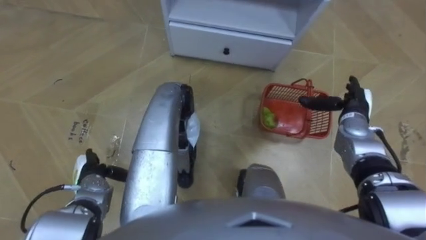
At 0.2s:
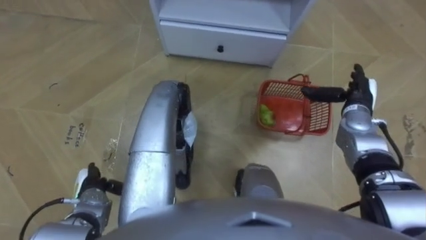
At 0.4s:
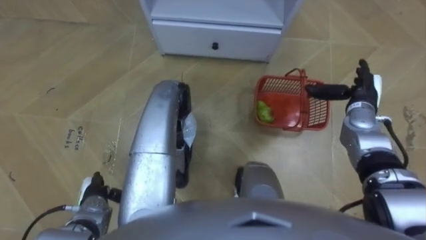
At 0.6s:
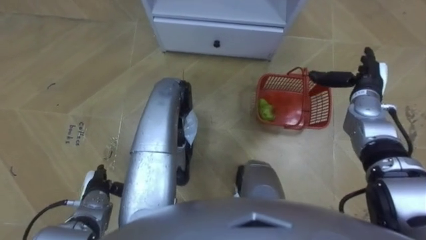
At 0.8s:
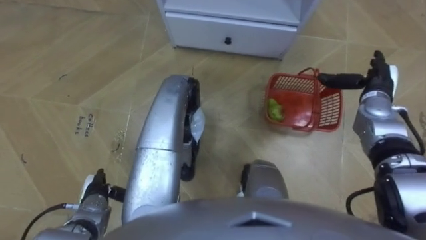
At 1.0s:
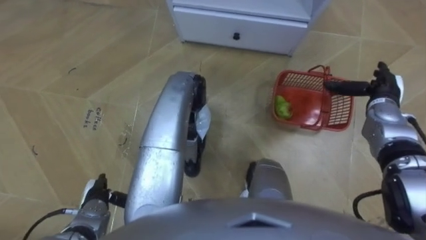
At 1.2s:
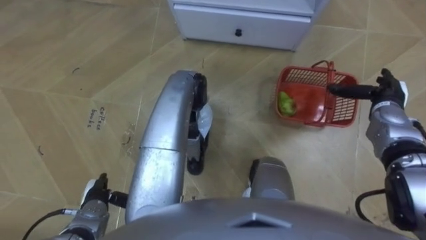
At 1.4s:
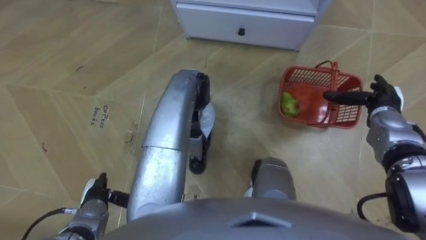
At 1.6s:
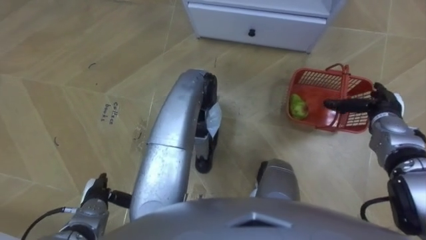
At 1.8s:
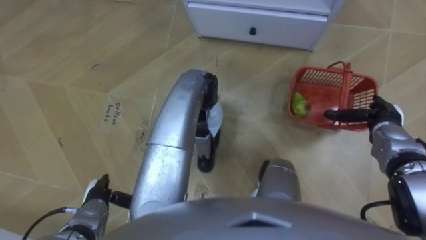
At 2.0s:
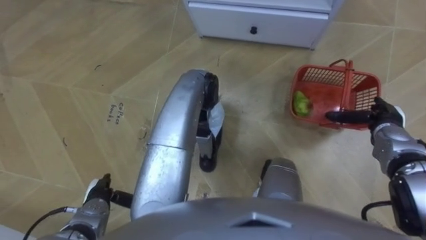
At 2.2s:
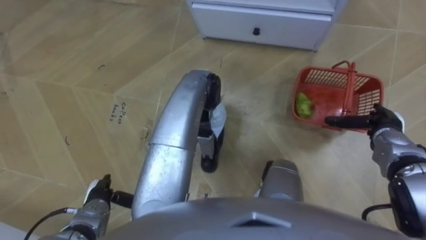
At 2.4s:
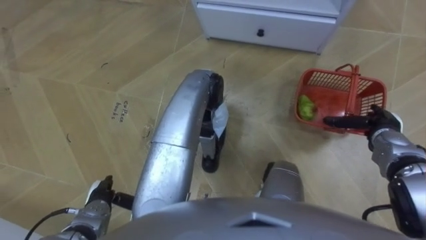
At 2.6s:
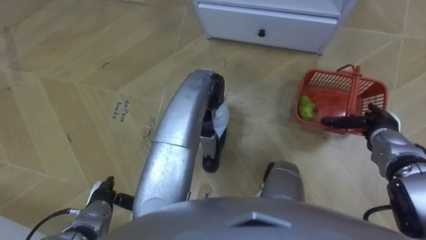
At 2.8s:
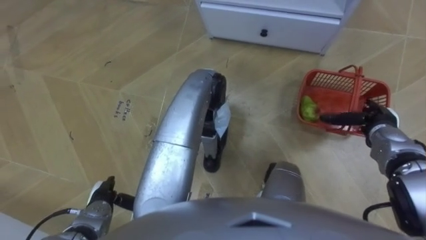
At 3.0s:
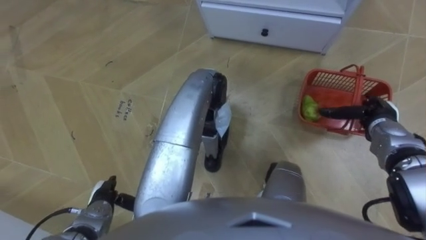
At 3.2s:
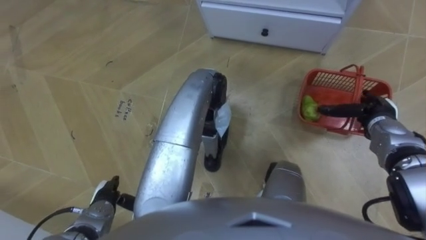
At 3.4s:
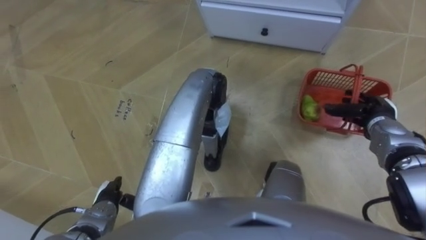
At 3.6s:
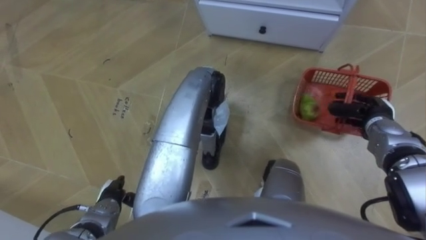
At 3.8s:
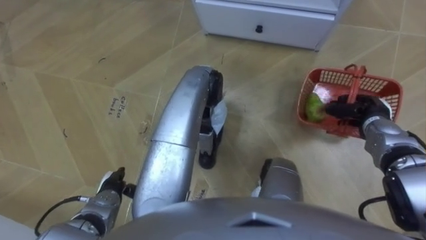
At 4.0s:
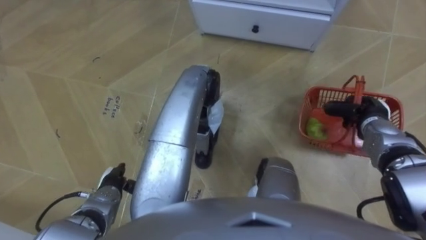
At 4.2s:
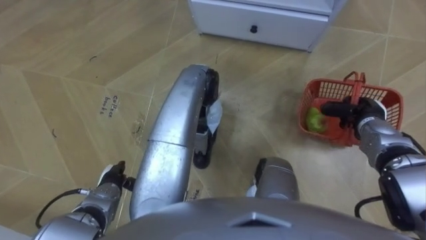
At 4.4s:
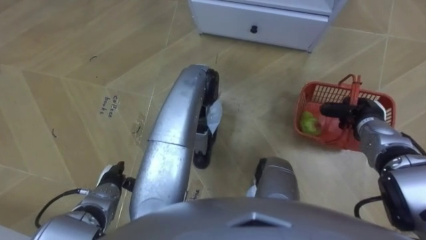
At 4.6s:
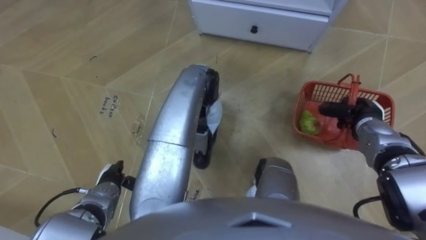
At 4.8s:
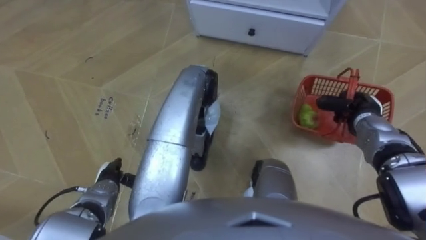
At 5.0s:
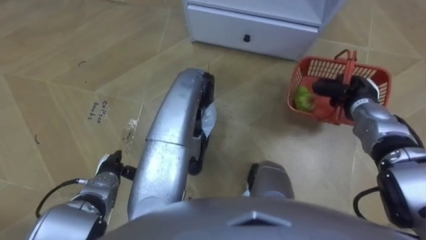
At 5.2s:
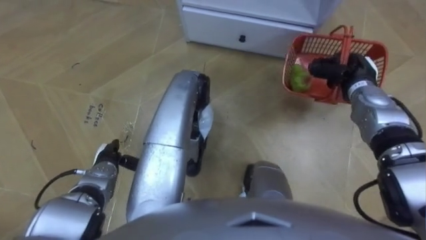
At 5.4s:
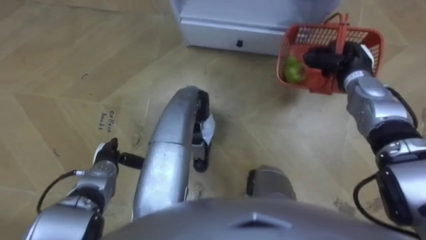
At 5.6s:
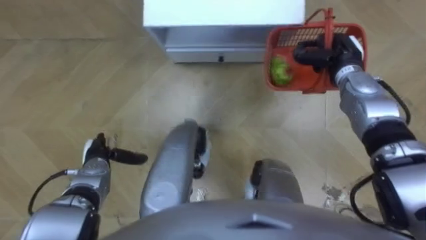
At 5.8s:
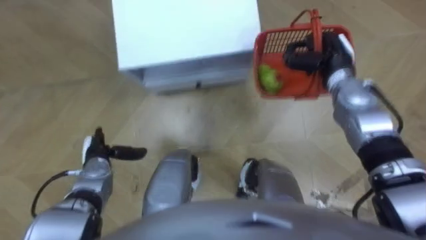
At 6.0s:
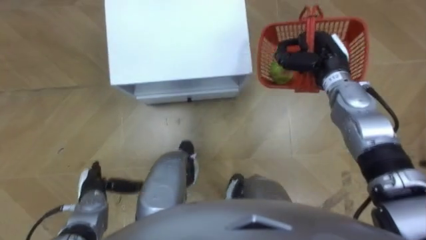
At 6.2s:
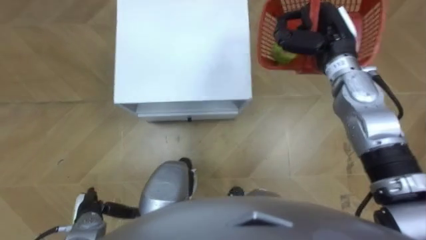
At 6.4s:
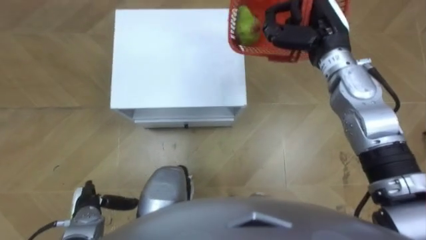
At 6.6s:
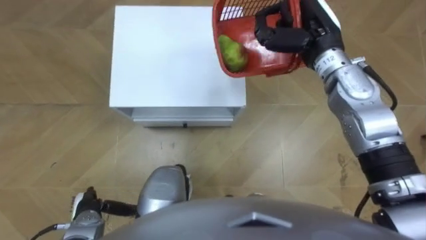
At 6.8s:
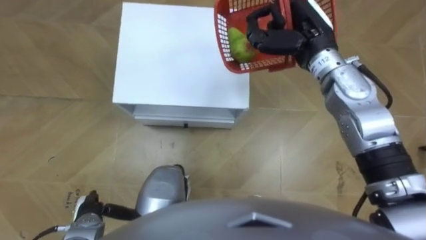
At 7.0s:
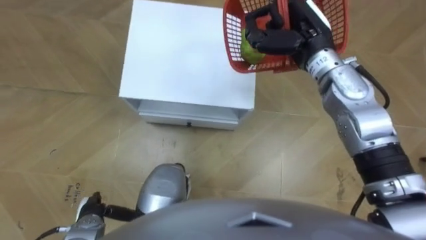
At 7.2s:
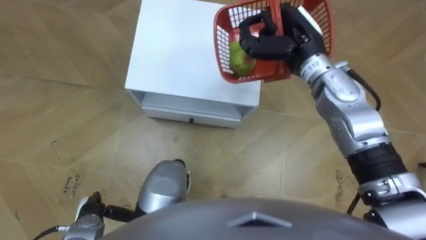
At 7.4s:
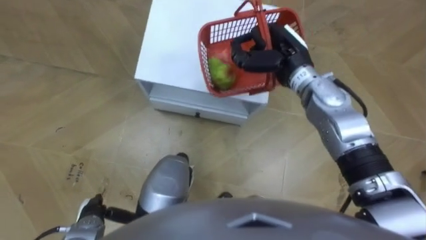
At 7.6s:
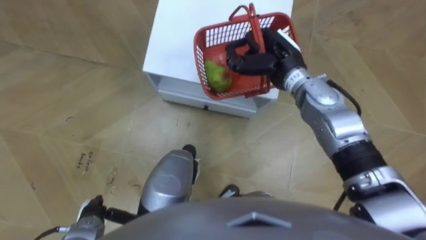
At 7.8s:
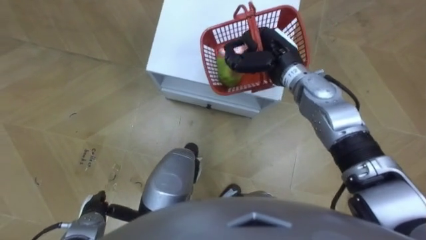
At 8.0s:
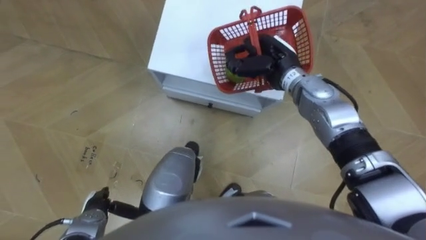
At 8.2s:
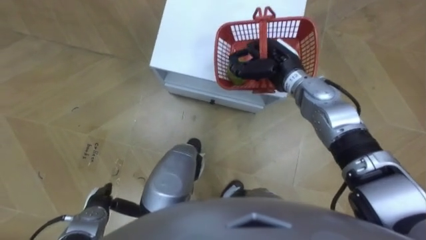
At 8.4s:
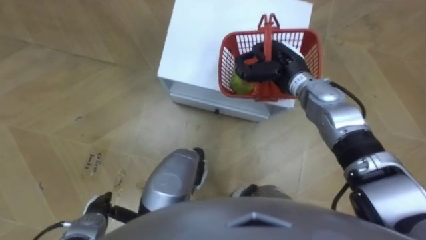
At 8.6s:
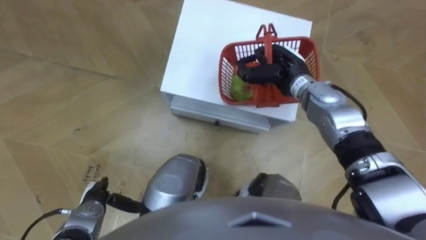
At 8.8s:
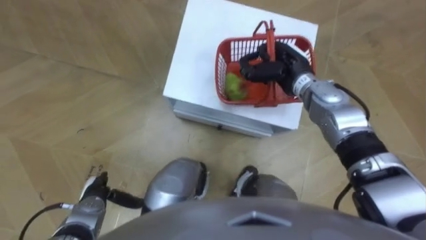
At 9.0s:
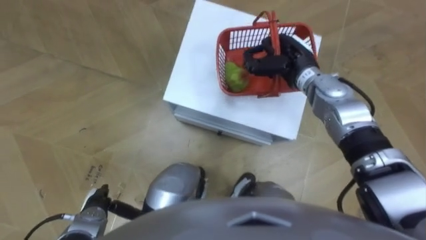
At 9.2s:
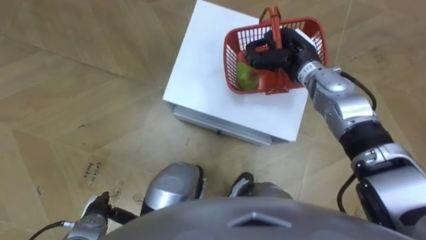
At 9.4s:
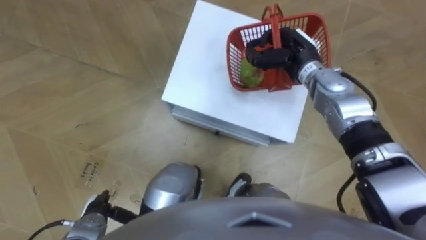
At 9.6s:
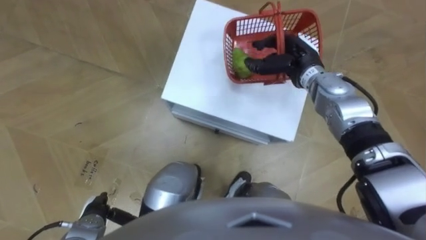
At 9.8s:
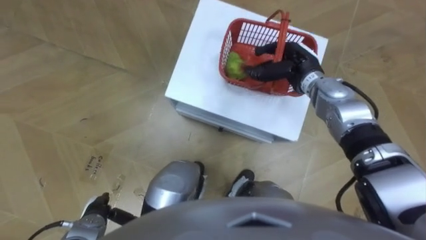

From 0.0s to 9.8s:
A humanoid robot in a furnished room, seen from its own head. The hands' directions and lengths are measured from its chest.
Task of the whole recording: Pick up the fruit basket from the floor and place it on the cabinet.
From 0.0s to 1.4s: The right hand heads to the right, covering approximately 5 cm. The left hand is displaced backward by approximately 5 cm.
From 2.8s to 4.2s: The right hand closes.
From 4.2s to 5.6s: The left hand moves forward, some 5 cm. Meanwhile the right hand goes approximately 15 cm forward, upward and to the left.
From 5.6s to 7.0s: The right hand moves to the left and upward, approximately 15 cm; the left hand travels backward by about 15 cm.
From 7.0s to 8.4s: The right hand is displaced downward by some 10 cm.
From 8.4s to 9.8s: The right hand opens.

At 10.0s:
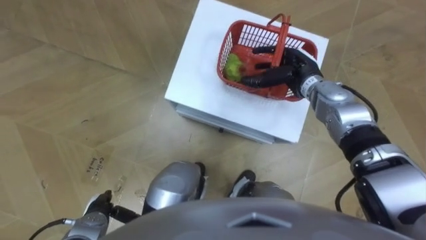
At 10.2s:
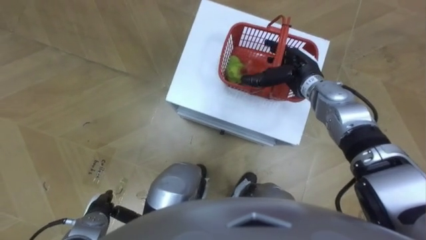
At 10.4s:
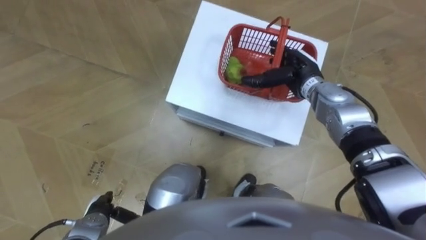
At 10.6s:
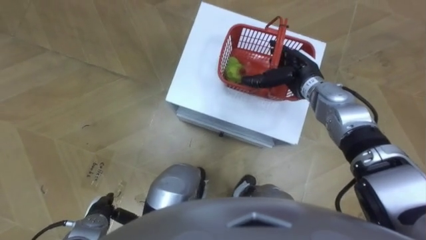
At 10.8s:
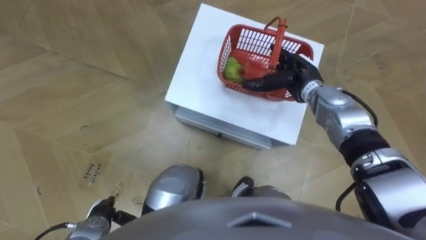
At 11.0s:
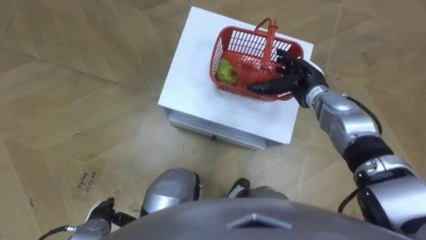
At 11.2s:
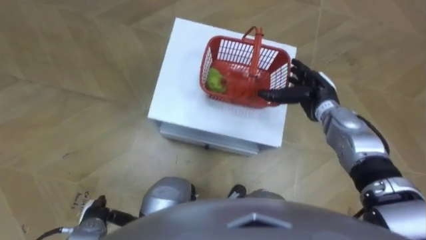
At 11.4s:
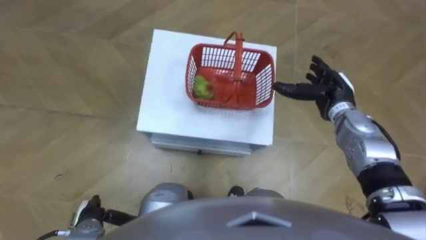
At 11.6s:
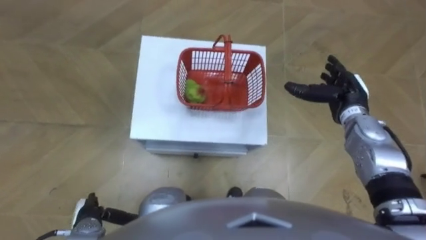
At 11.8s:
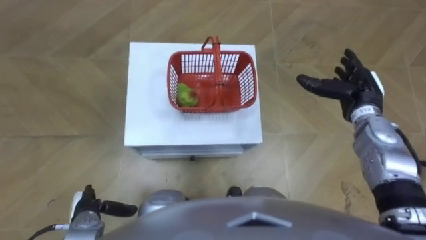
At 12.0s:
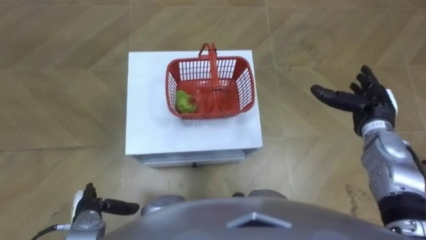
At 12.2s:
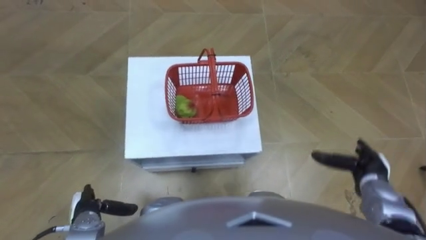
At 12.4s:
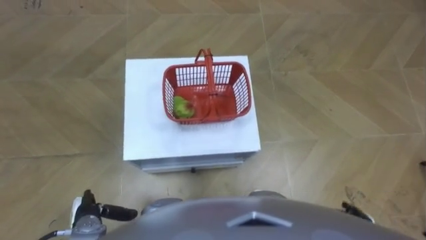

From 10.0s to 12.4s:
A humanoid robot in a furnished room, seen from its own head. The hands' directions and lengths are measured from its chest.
Task of the whole recording: Pick up the fruit basket from the floor and place it on the cabinet.
From 10.0s to 11.2s: The right hand shifts by roughly 5 cm.
From 11.2s to 12.4s: The right hand is displaced backward by roughly 25 cm.

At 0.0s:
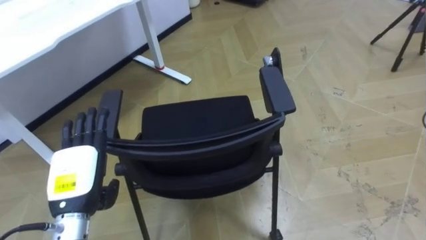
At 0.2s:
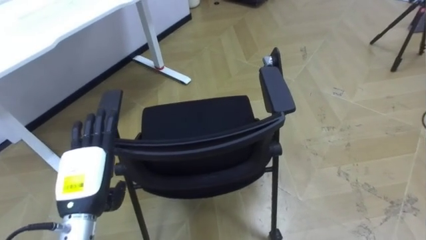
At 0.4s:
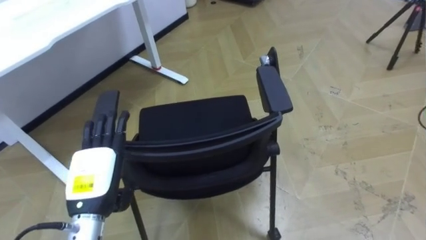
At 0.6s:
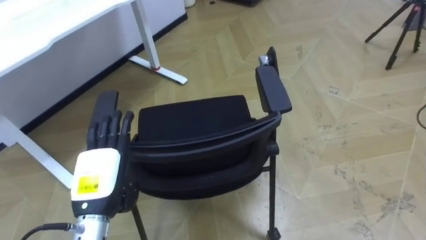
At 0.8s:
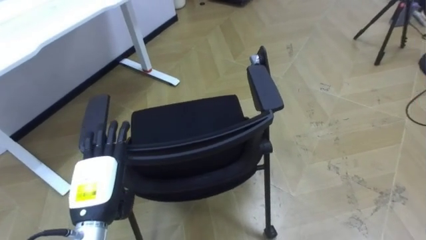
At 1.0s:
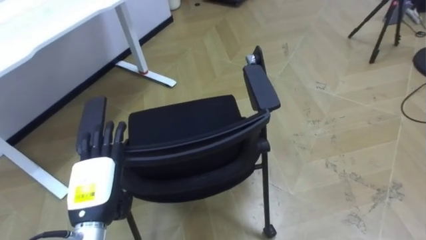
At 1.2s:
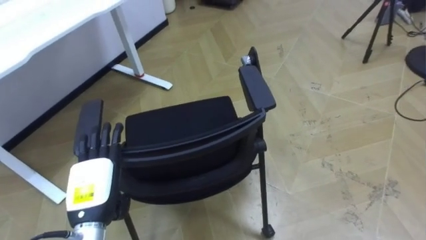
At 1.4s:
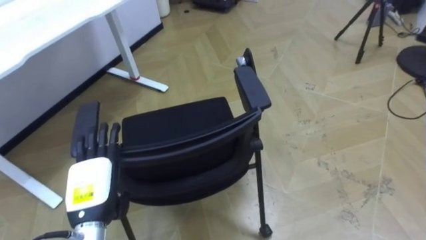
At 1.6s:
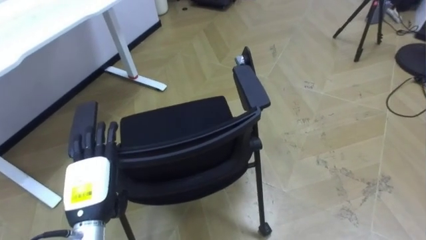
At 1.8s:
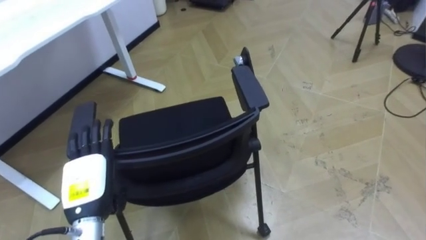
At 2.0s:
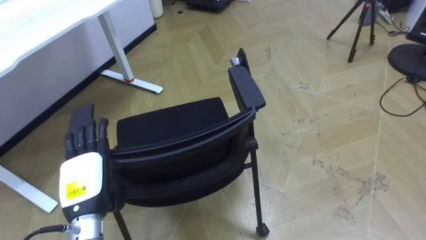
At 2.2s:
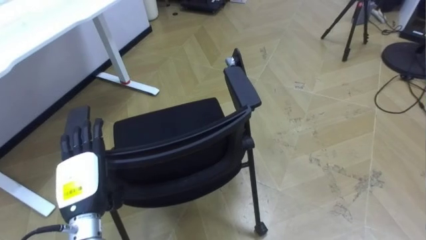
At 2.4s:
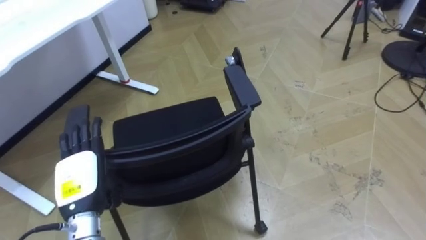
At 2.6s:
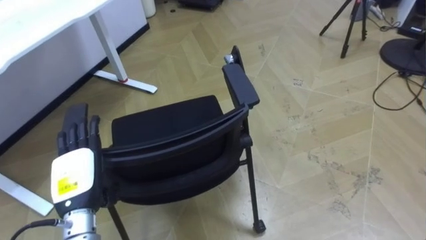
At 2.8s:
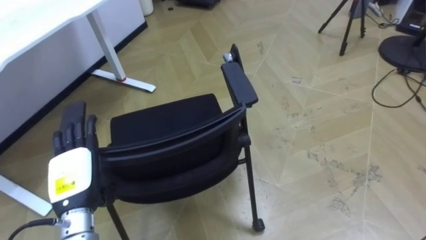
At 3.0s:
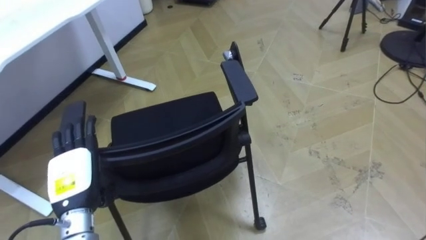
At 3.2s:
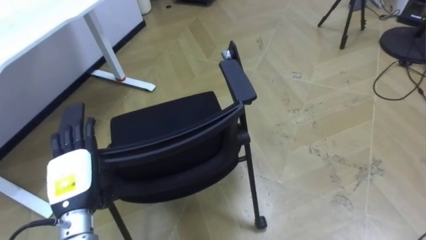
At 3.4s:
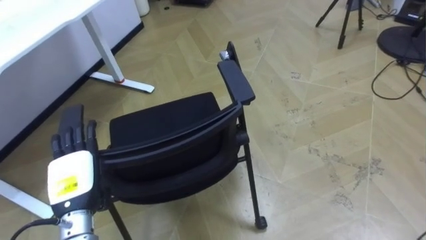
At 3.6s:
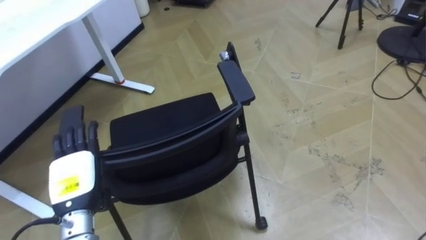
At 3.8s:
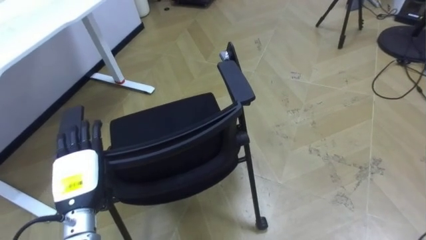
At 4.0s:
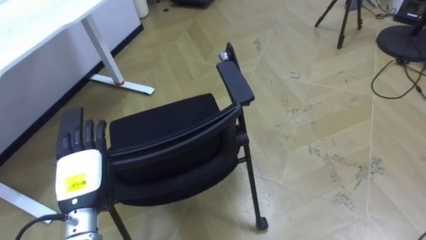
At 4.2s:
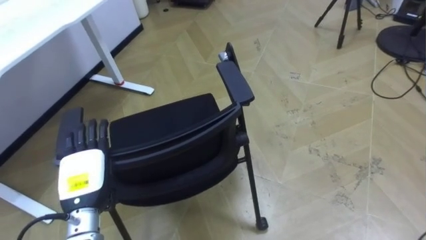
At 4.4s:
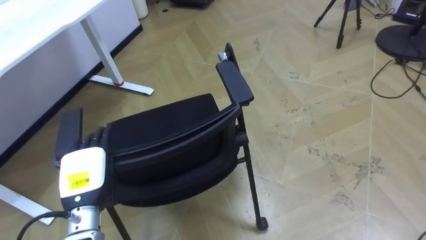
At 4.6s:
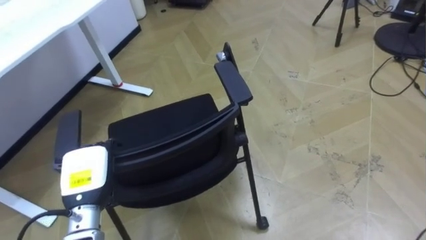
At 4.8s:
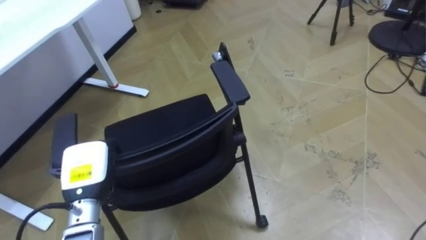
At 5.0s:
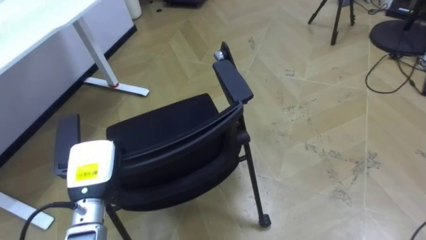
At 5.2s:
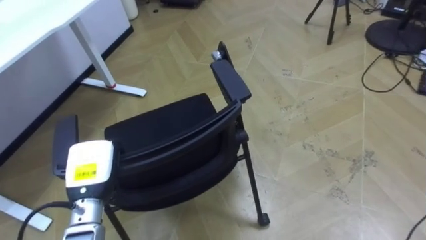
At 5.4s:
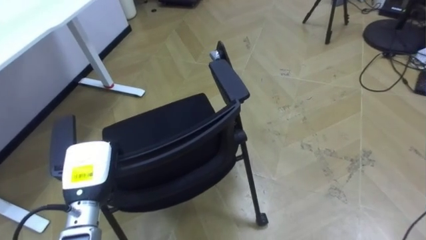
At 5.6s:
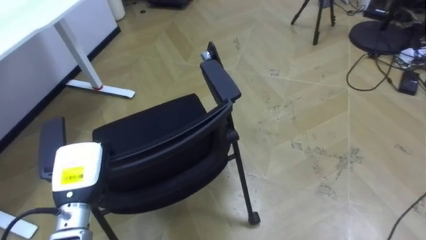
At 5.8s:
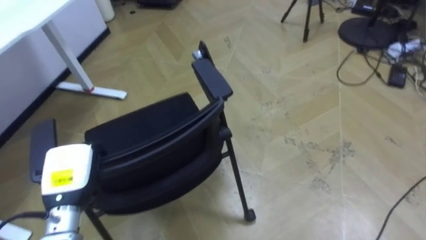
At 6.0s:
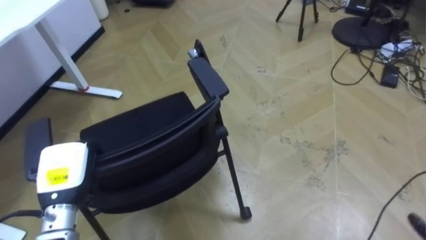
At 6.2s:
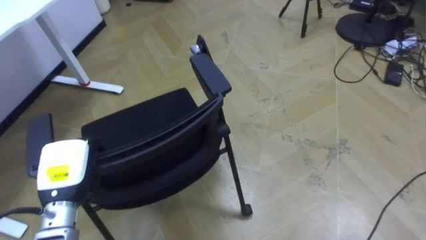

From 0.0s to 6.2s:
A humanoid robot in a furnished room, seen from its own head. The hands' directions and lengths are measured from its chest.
Task of the whole recording: Push the chair under the table.
From 3.2s to 4.6s: The left hand closes up.
